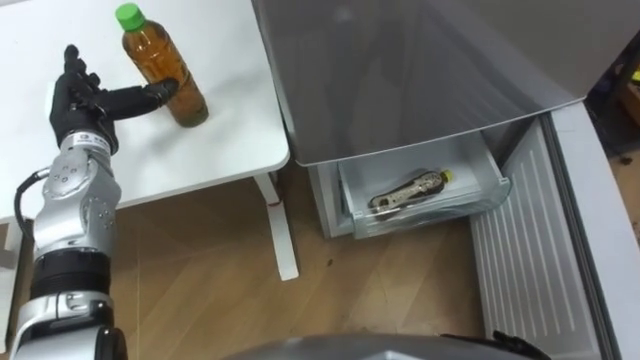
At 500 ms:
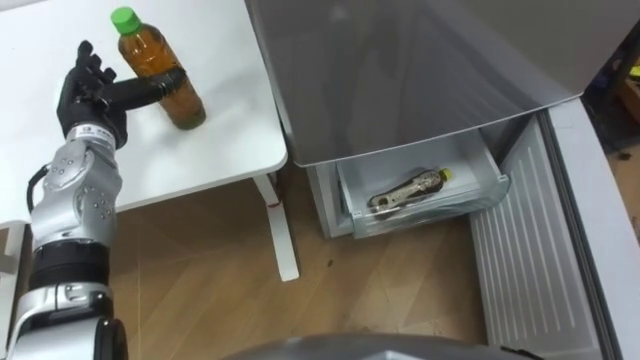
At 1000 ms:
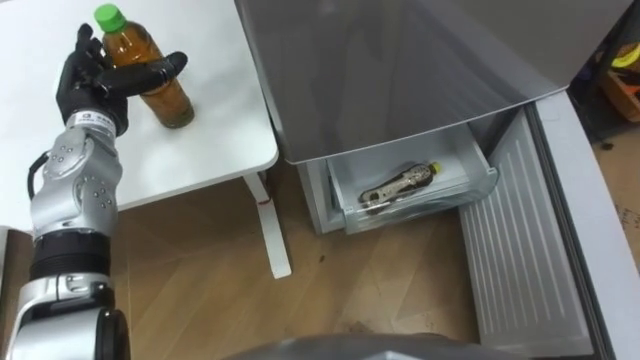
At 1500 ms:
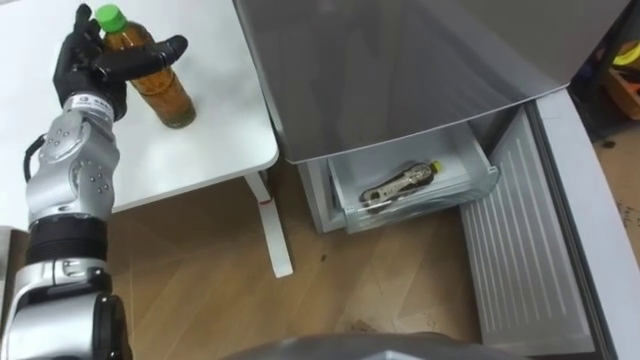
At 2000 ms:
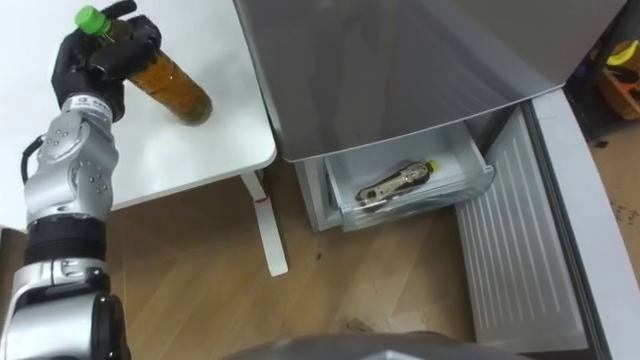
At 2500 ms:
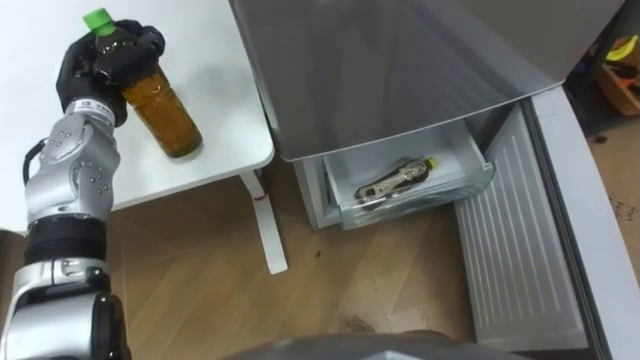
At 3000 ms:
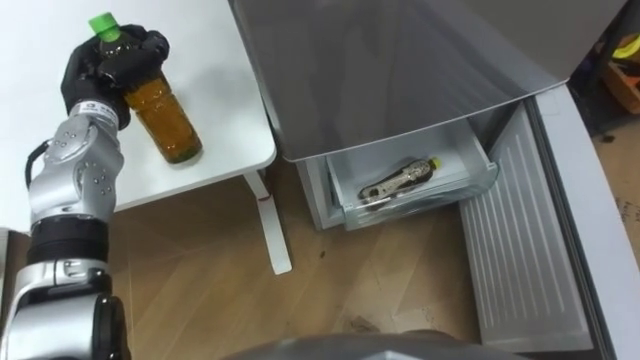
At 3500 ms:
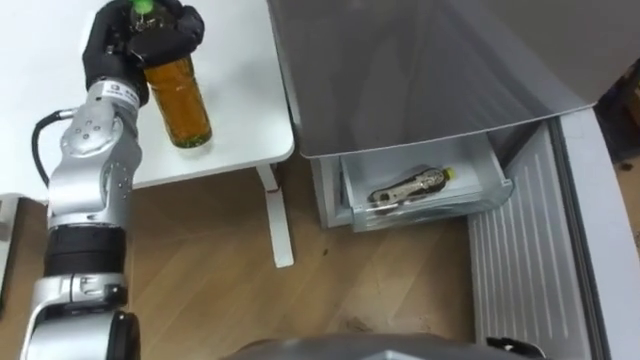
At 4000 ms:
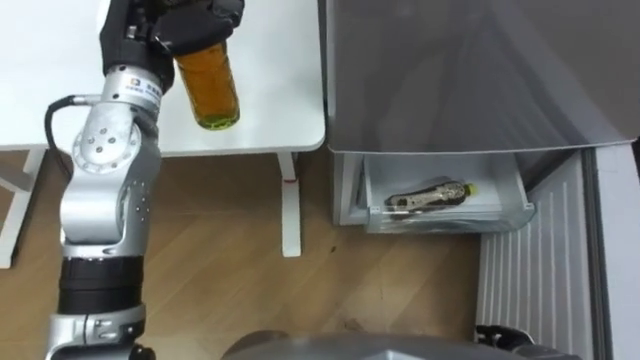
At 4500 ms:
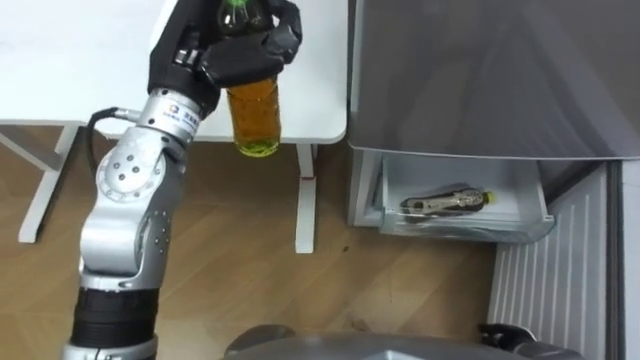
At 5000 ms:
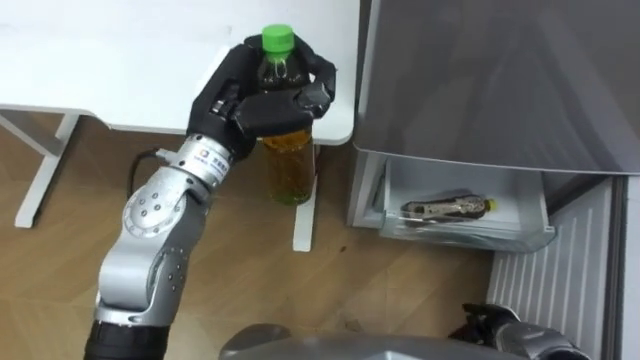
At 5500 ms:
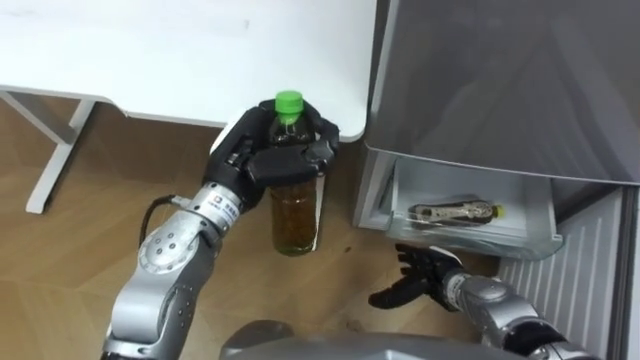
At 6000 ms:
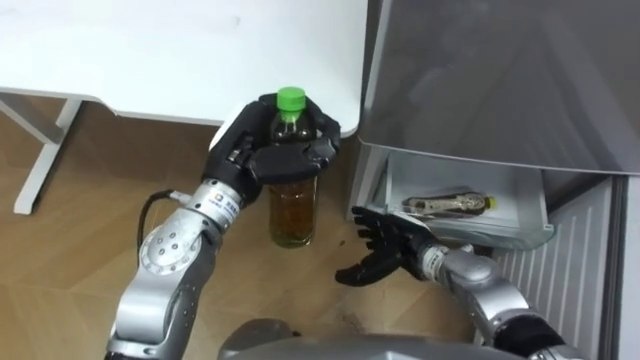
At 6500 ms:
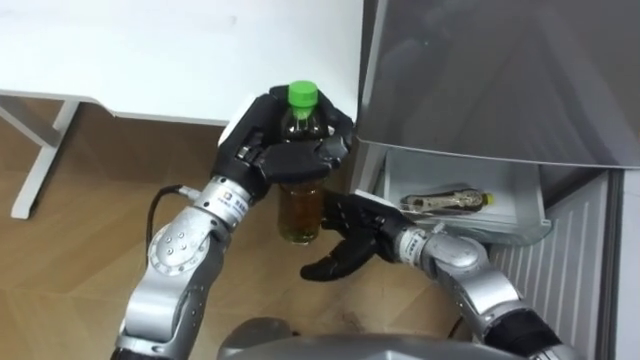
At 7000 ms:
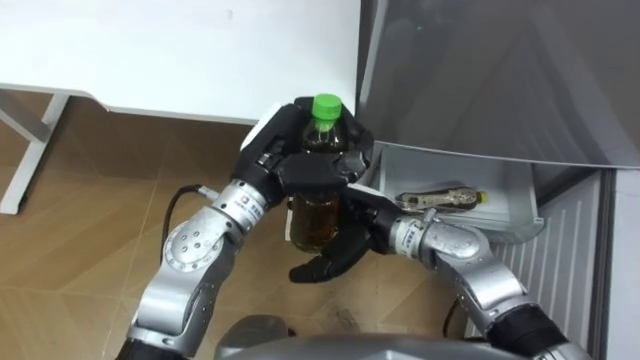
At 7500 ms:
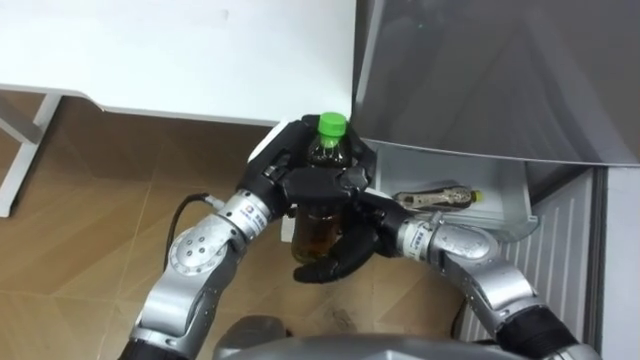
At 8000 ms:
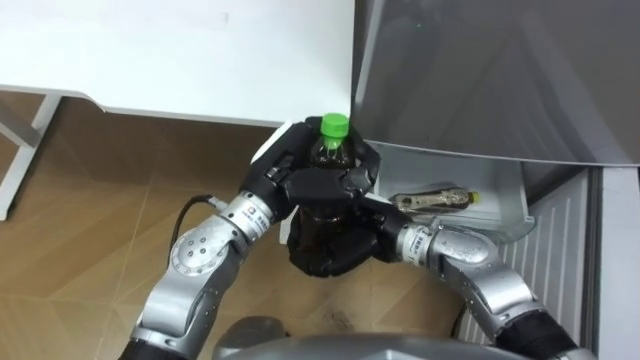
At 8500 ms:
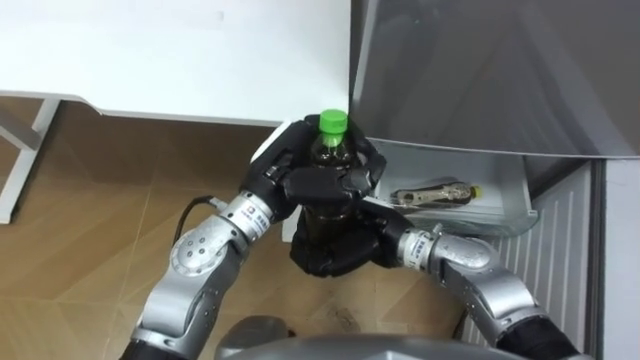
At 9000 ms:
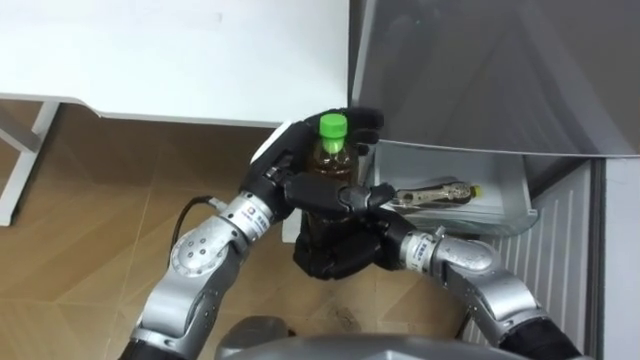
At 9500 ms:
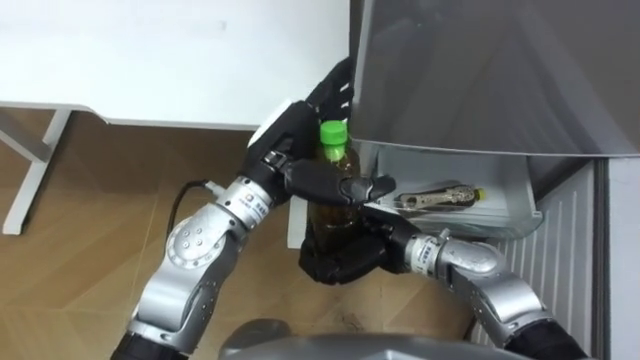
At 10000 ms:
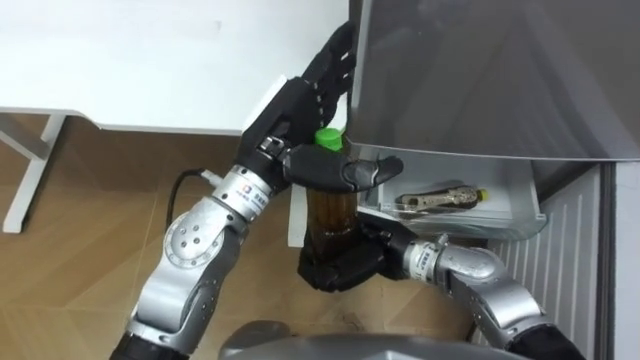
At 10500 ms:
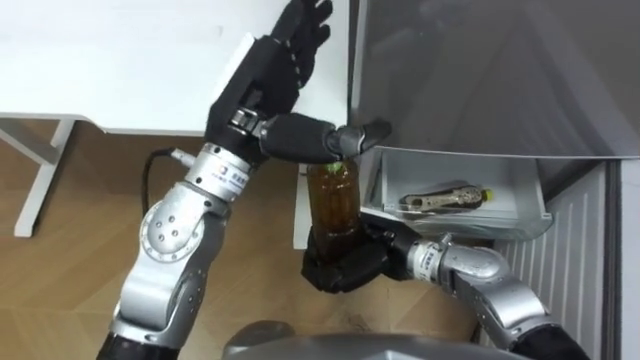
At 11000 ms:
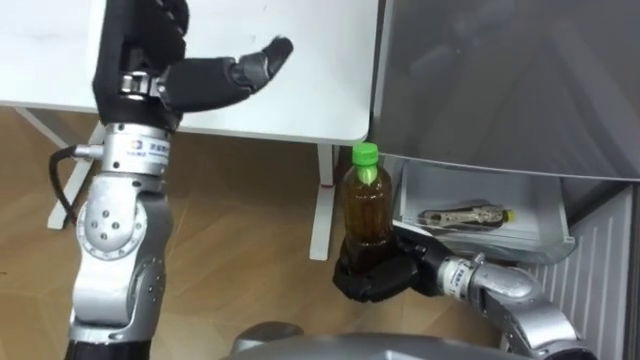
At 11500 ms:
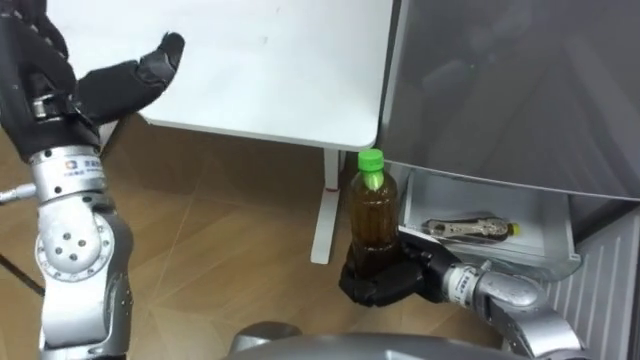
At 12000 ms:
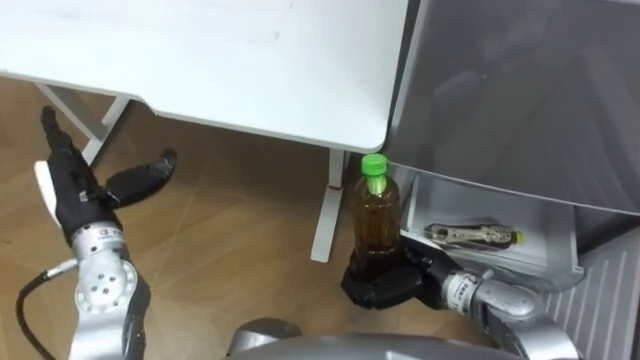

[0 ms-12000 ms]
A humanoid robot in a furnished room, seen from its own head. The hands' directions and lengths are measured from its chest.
Task of the whole recording: Place the drink on the table on the bottom shelf of the refrigerator, then close the drawer and the refrigerator door.
0 ms to 2000 ms: The left hand closes.
2000 ms to 4000 ms: The left hand goes some 15 cm to the right and upward.
4000 ms to 6000 ms: The right hand heads forward, to the left and upward, covering roughly 20 cm; the left hand is displaced downward, to the right and backward by some 15 cm.
6000 ms to 8000 ms: The right hand moves upward and to the left, some 10 cm, and closes up. Meanwhile the left hand moves some 5 cm.
8000 ms to 10000 ms: The left hand shifts some 5 cm upward, and opens its fingers.
10000 ms to 12000 ms: The right hand shifts about 5 cm to the right. The left hand is displaced to the left by approximately 25 cm.

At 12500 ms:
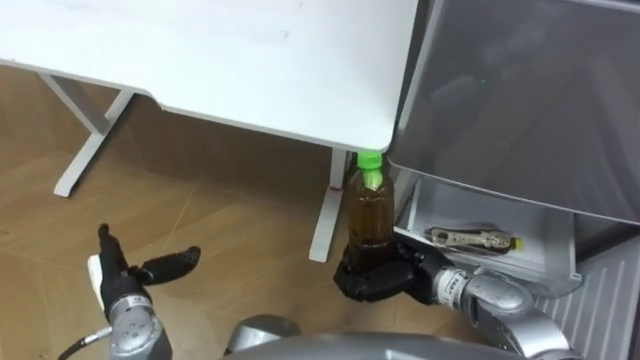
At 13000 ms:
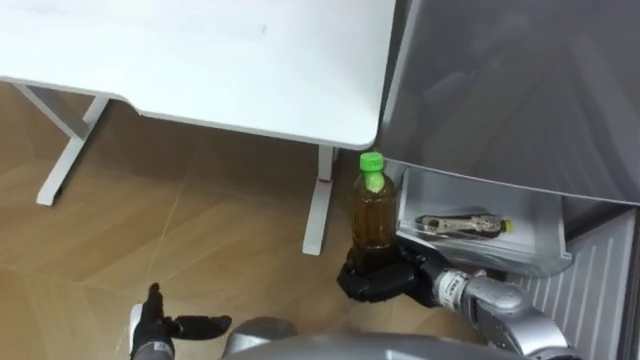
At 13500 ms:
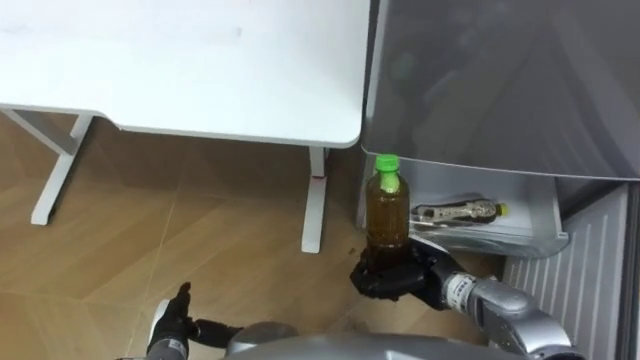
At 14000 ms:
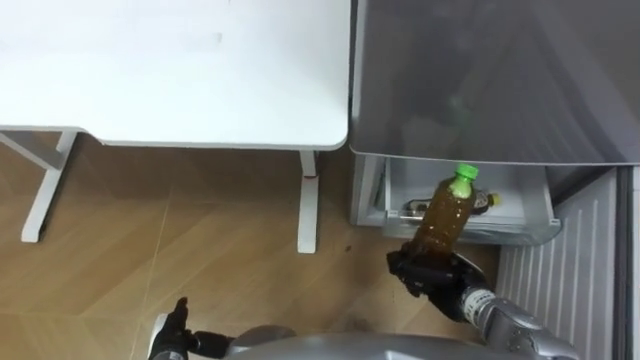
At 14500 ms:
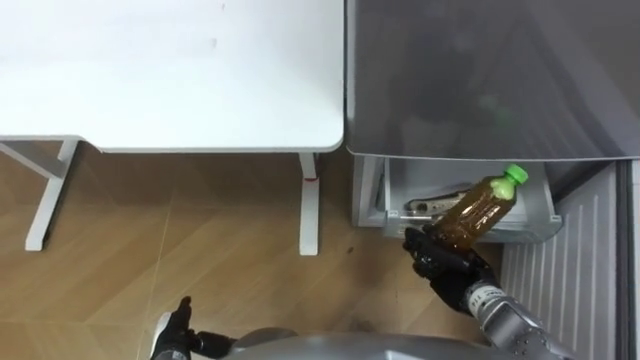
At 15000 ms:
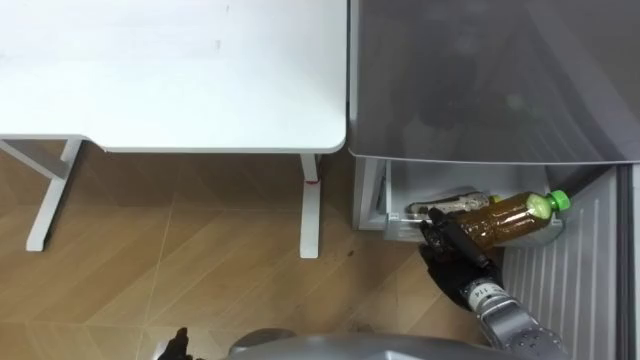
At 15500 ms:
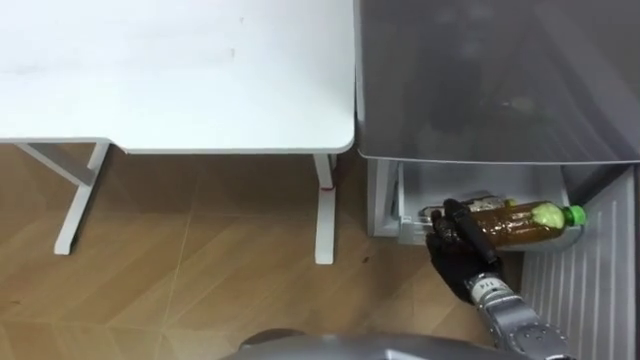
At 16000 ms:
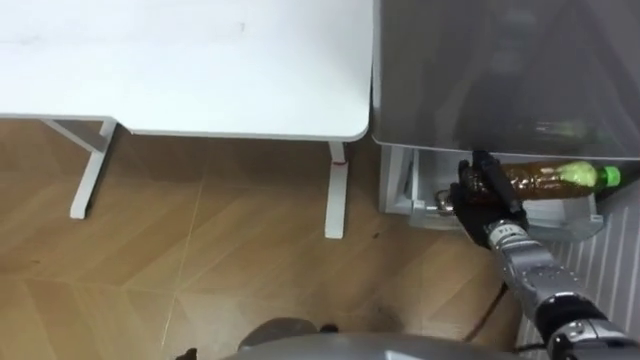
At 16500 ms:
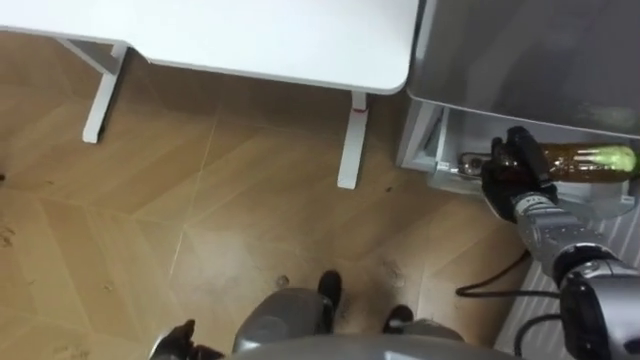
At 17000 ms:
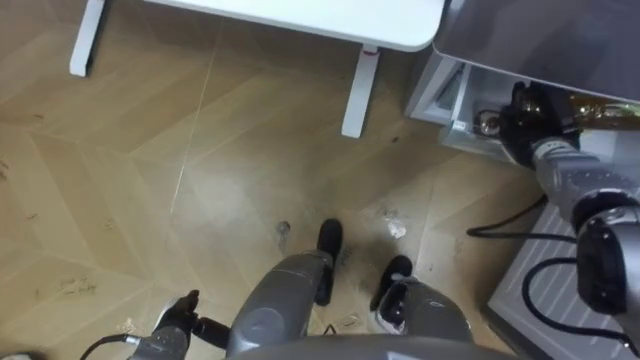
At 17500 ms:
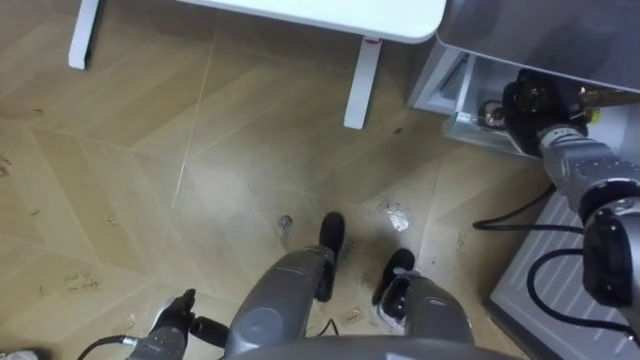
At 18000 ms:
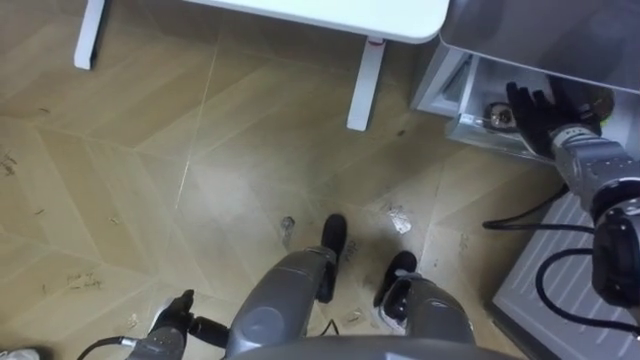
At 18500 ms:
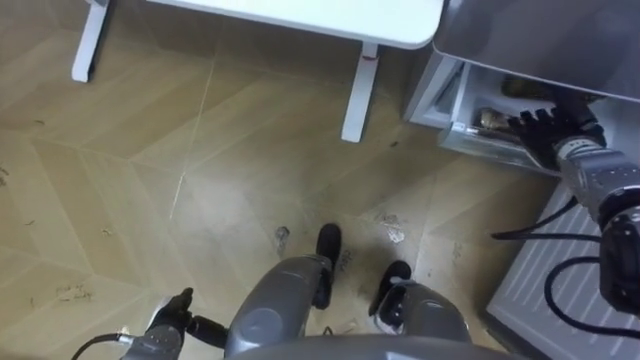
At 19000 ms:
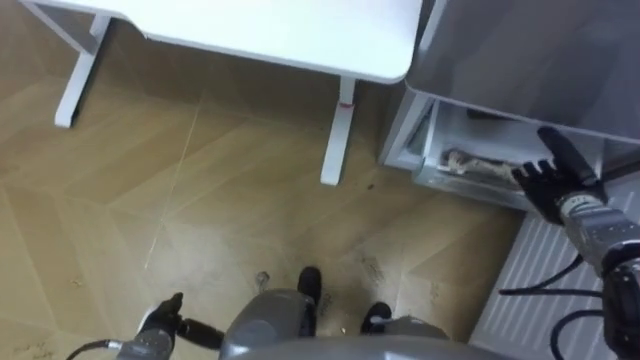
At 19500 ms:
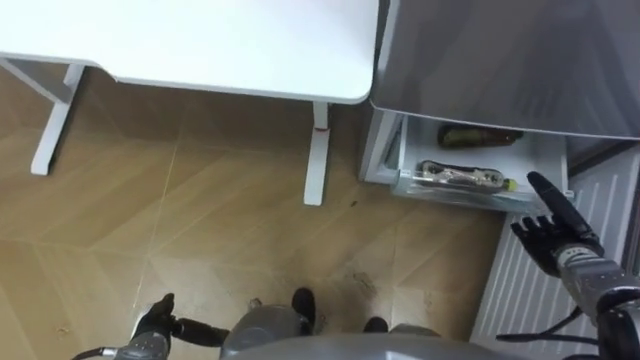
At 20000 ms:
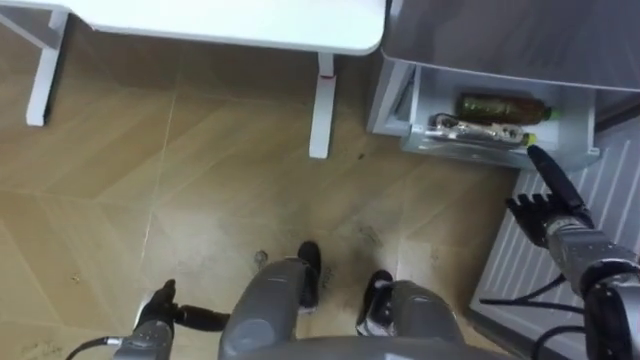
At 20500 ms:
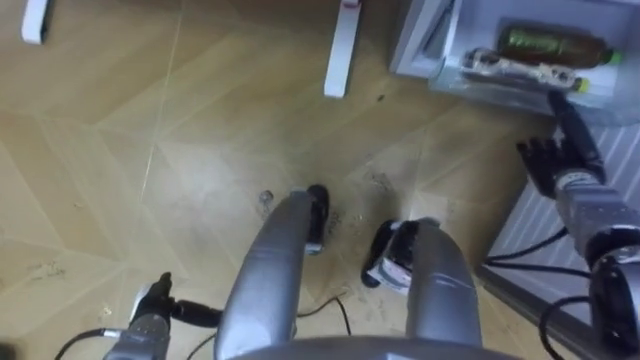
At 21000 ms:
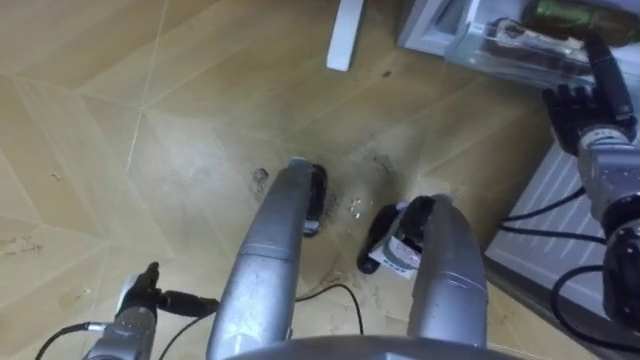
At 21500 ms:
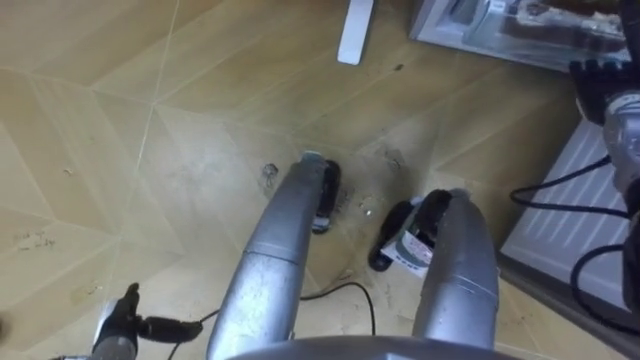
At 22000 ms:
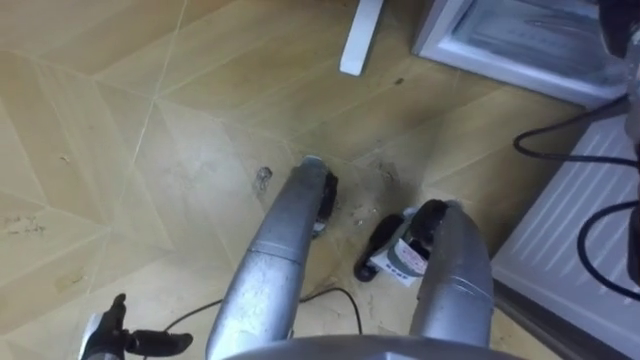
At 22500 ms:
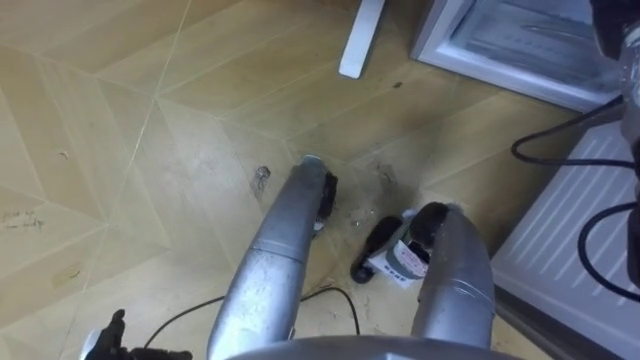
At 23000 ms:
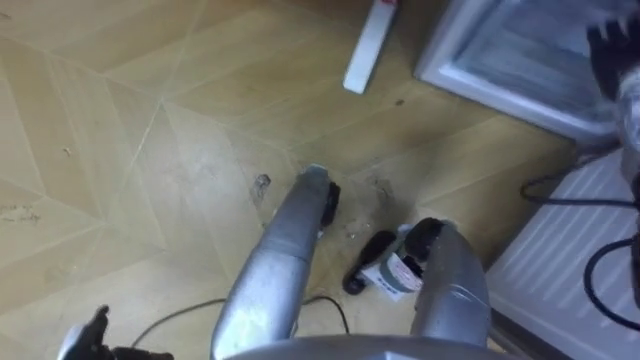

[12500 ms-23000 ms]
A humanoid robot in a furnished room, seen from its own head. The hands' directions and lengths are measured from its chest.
Task of the whole recording: Place the drink on the table on the bottom shelf of the refrigerator, then close the drawer and the refrigerator door.
12500 ms to 14500 ms: The right hand shifts approximately 10 cm to the right and downward. The left hand shifts some 15 cm downward, backward and to the right.
14500 ms to 16500 ms: The right hand goes some 15 cm forward and to the right.
16500 ms to 19000 ms: The right hand goes some 5 cm to the right, reaches about 10 cm forward, then returns, and opens its fingers.
19000 ms to 21000 ms: The right hand is displaced upward and forward by approximately 10 cm.
21000 ms to 23000 ms: The right hand travels upward by about 5 cm.
